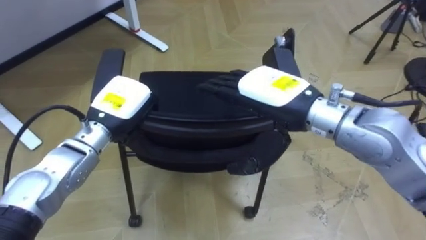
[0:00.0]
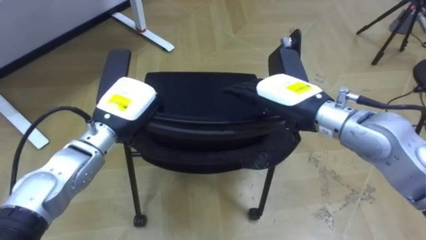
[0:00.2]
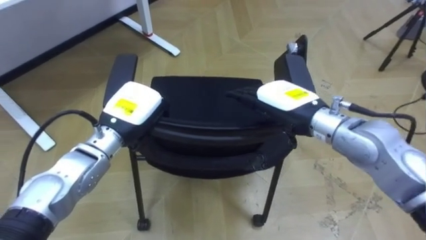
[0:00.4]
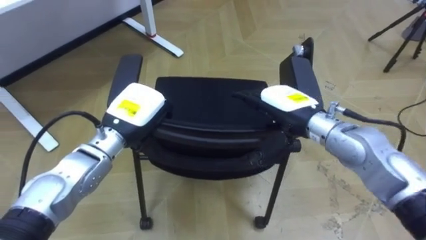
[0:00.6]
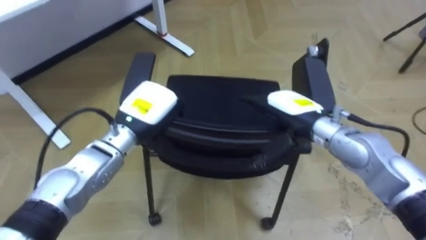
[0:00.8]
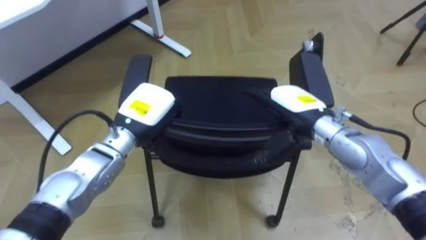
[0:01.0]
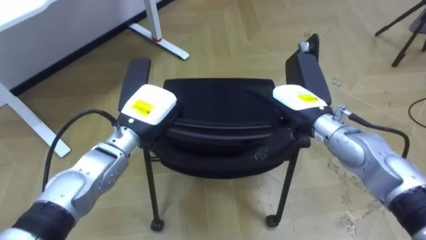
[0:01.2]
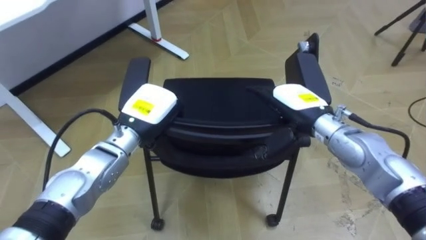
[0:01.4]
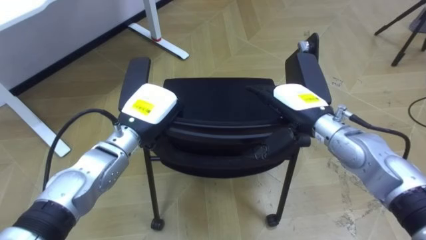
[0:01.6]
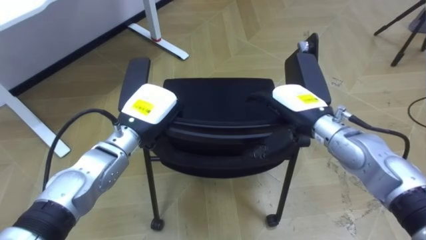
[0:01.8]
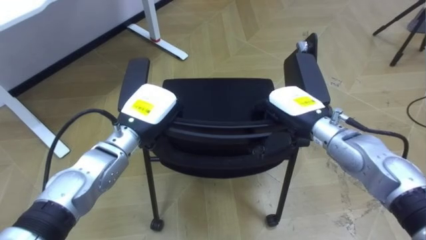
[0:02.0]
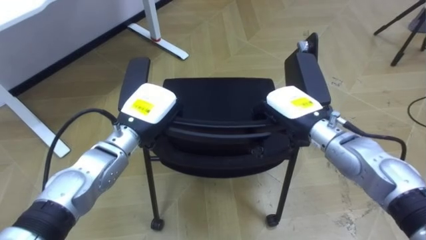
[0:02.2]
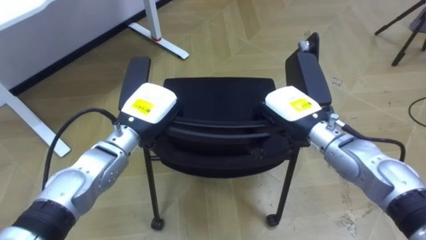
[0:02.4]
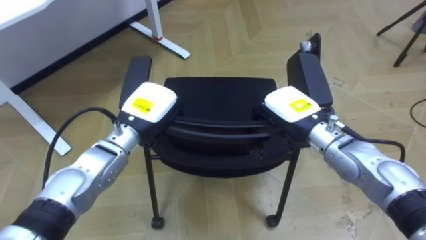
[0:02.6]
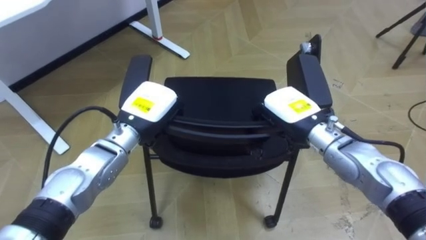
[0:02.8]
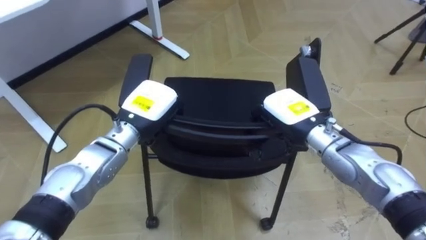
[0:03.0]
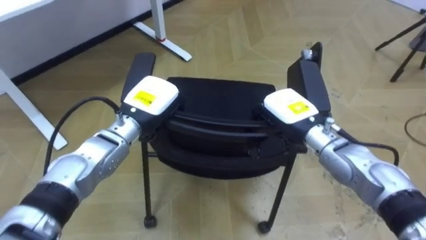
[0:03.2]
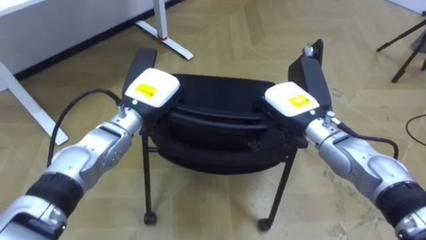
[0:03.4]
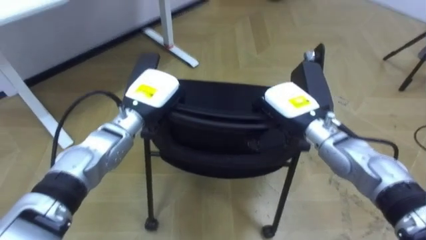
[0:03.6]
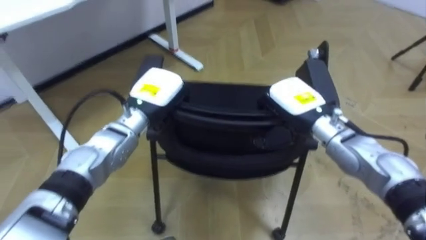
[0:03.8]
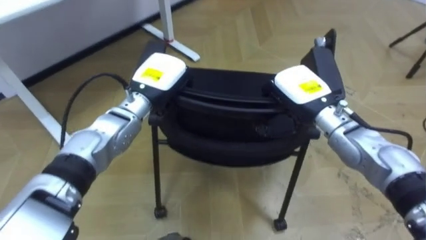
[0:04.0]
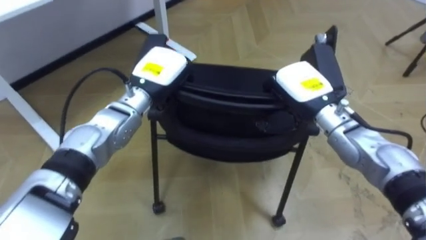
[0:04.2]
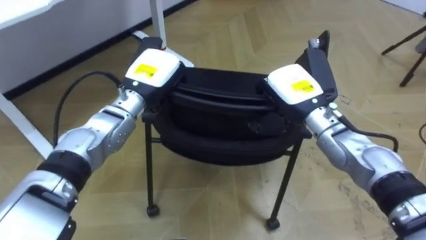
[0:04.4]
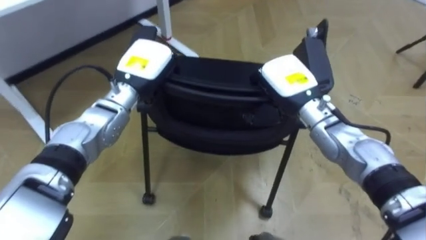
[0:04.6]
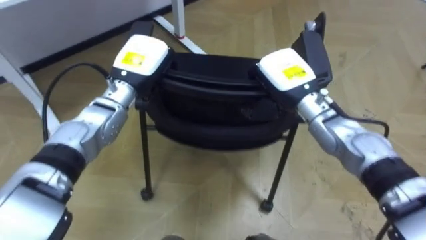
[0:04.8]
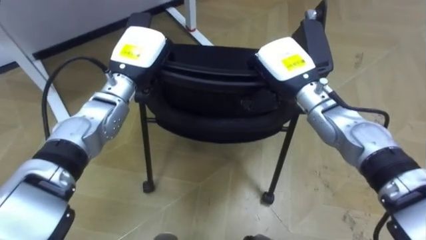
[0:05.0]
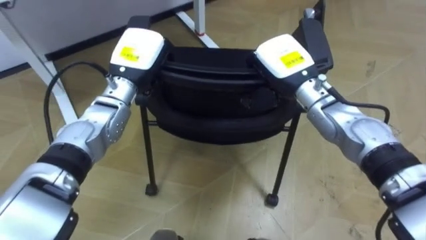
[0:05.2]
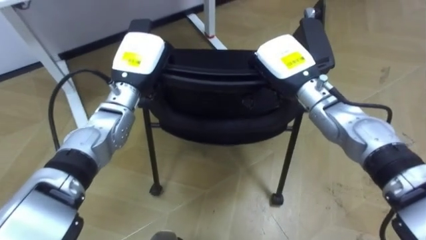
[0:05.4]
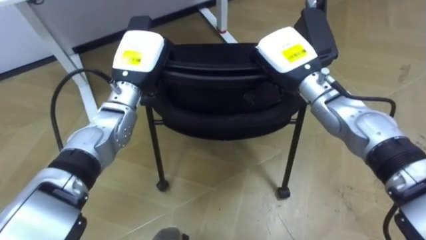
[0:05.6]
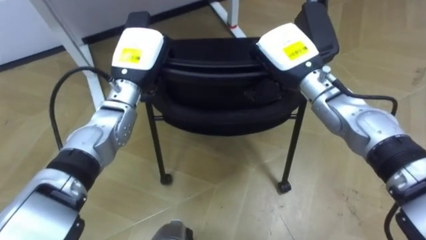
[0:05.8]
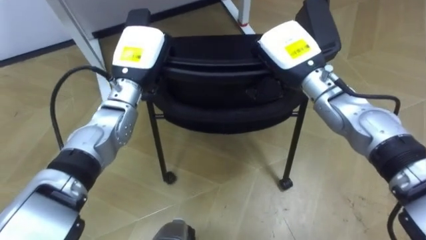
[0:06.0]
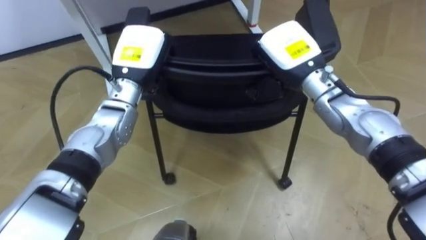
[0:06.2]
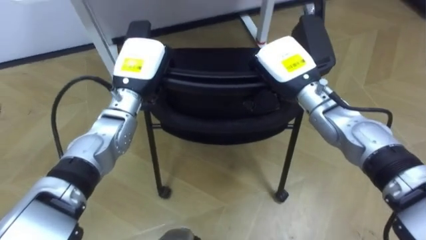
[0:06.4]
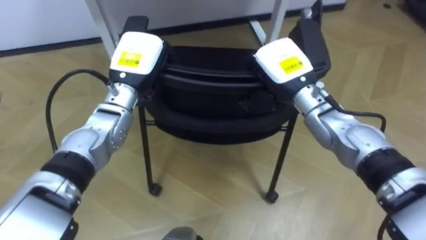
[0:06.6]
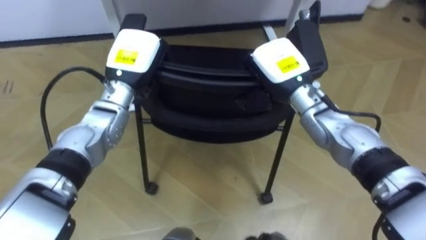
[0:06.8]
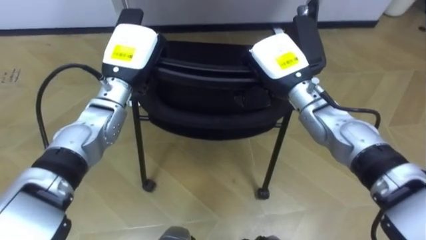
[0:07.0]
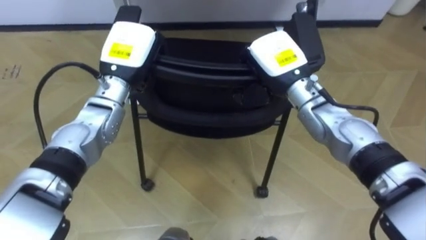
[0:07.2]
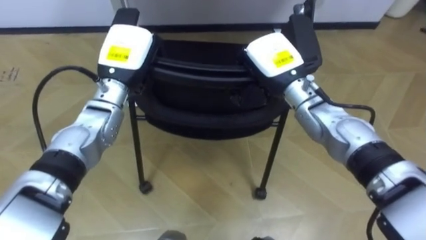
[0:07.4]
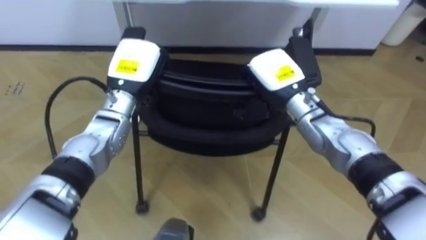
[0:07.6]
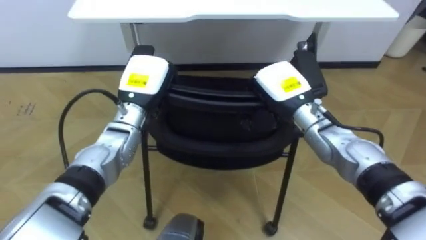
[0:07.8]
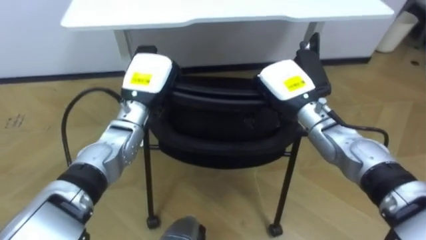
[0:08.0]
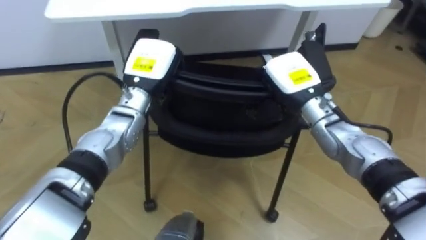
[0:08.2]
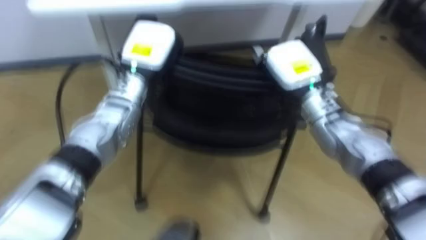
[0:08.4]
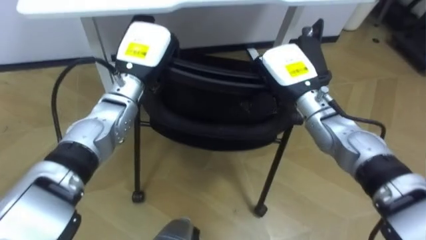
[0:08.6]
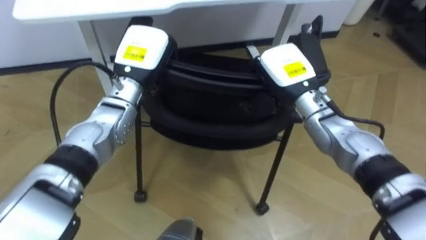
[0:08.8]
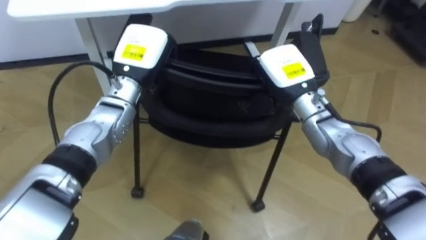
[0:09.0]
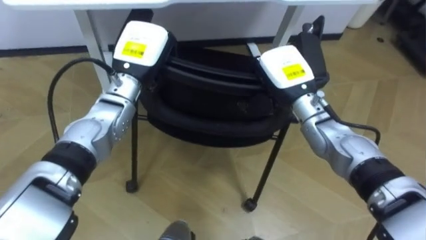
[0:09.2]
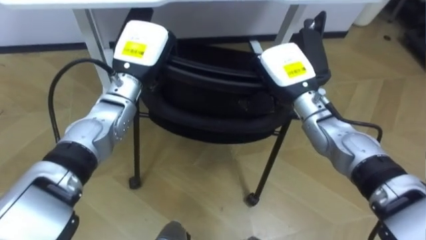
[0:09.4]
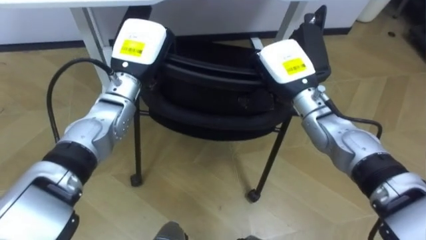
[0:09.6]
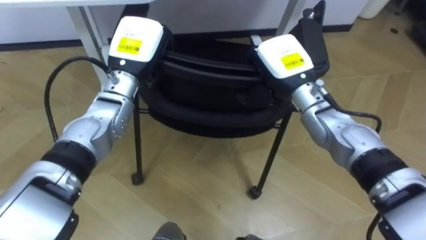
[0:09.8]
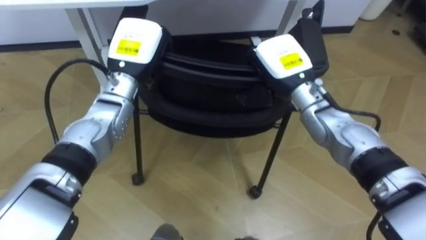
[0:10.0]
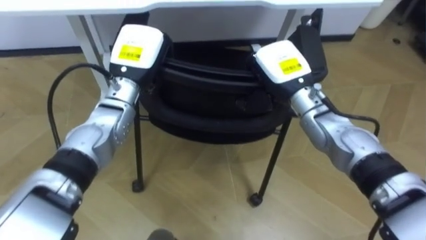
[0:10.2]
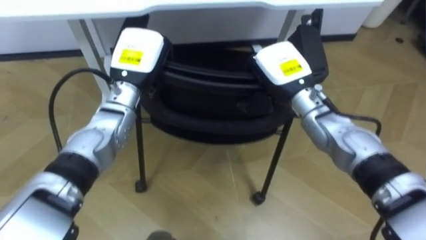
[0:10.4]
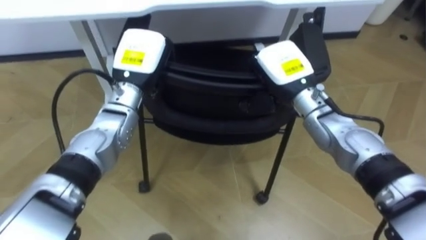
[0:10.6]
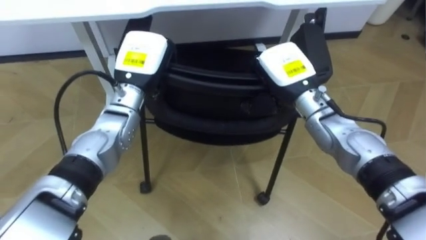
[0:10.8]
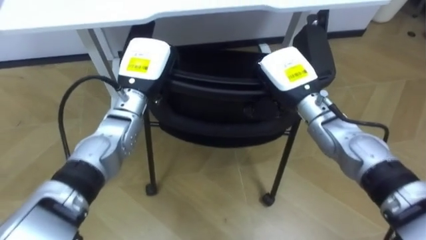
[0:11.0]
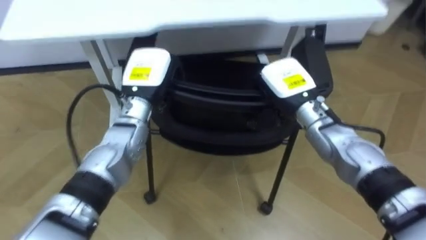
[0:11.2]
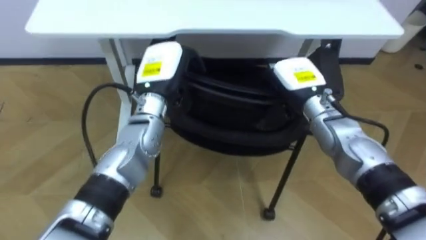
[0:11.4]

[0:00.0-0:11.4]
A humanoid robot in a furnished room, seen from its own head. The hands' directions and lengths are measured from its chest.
Task of the whole recording: Push the chair under the table.
0.0 to 1.4 s: The right hand is displaced downward, to the right and forward by approximately 15 cm. The left hand shifts by some 5 cm.
1.4 to 2.8 s: The right hand closes its fingers.
2.8 to 4.2 s: The left hand is displaced forward by some 5 cm.
4.2 to 5.6 s: The robot turns to its left by roughly 15 degrees. The right hand changes place by about 5 cm.
5.6 to 7.2 s: The robot faces approximately 15 degrees further to its left.
10.0 to 11.4 s: The right hand moves approximately 5 cm, and opens its fingers. Meanwhile the left hand shifts by about 5 cm, and opens.

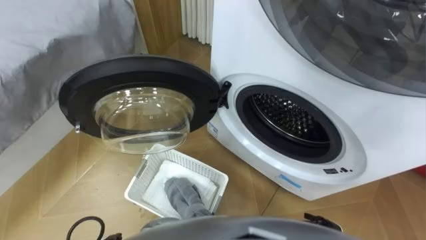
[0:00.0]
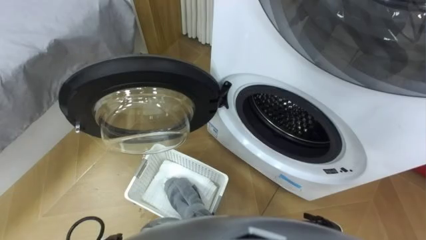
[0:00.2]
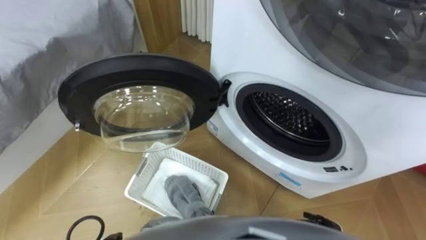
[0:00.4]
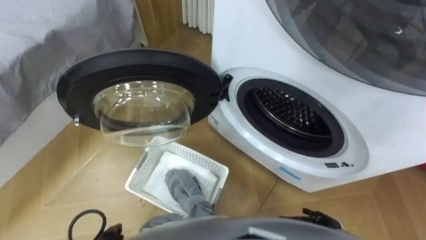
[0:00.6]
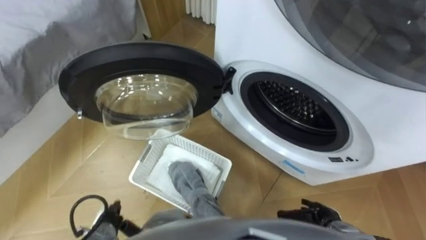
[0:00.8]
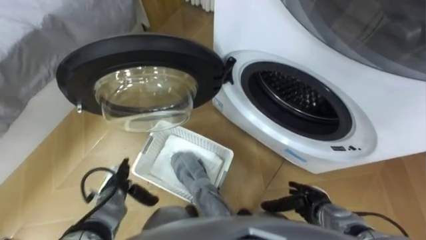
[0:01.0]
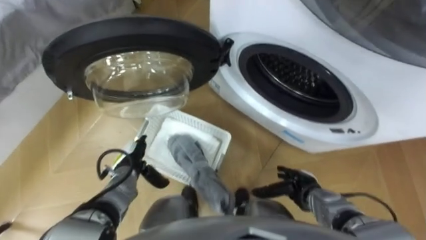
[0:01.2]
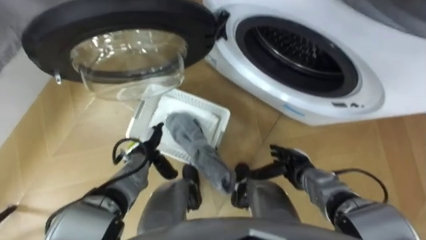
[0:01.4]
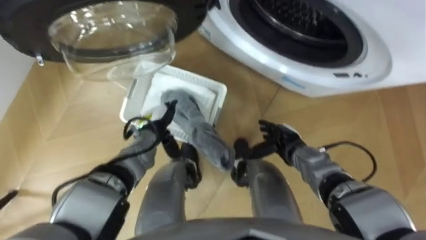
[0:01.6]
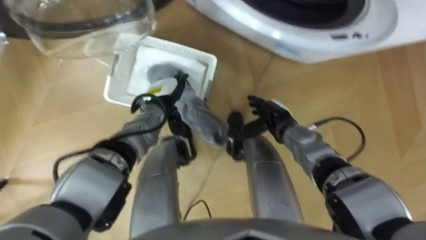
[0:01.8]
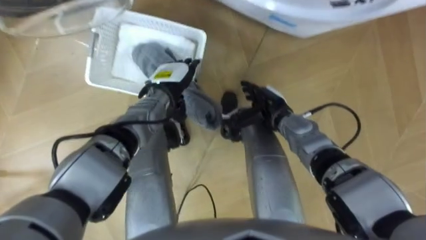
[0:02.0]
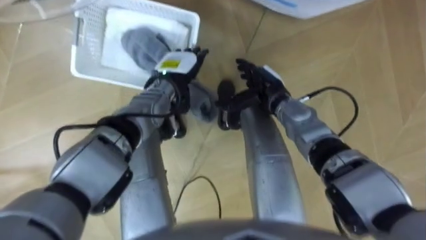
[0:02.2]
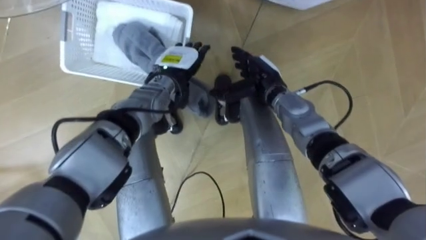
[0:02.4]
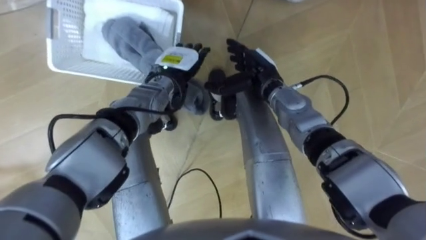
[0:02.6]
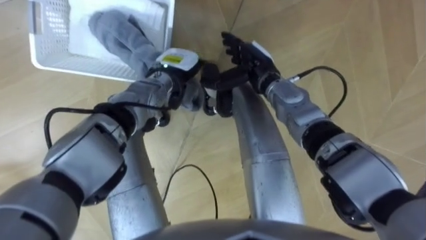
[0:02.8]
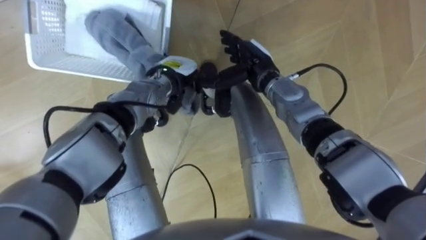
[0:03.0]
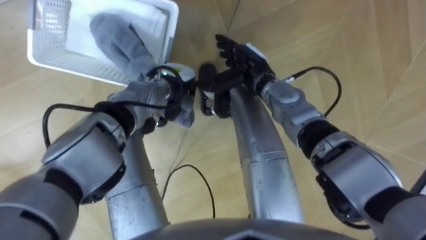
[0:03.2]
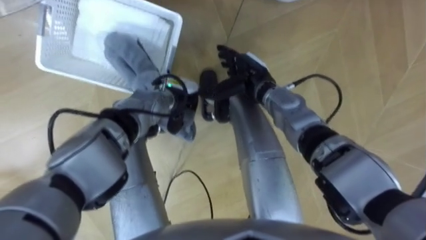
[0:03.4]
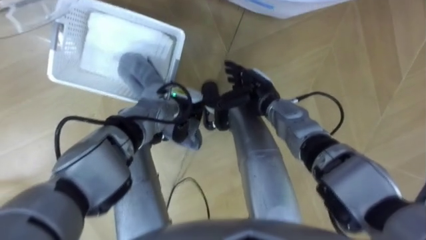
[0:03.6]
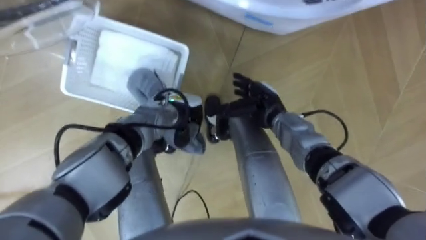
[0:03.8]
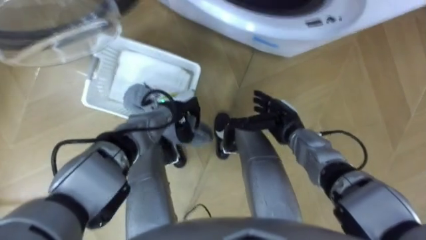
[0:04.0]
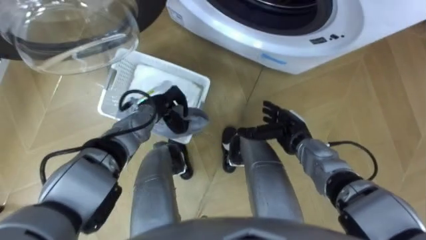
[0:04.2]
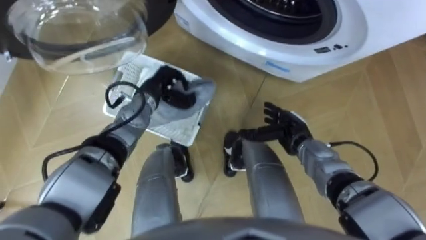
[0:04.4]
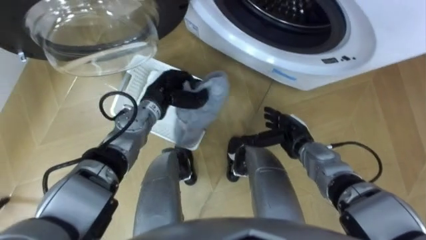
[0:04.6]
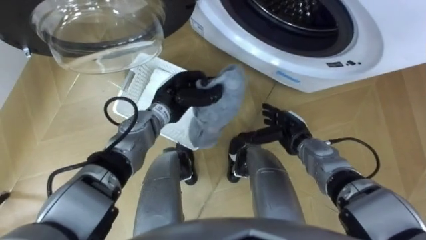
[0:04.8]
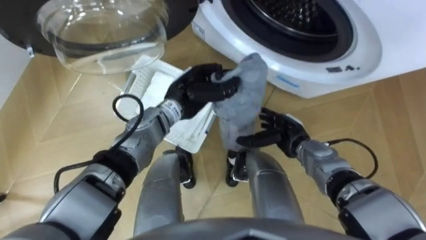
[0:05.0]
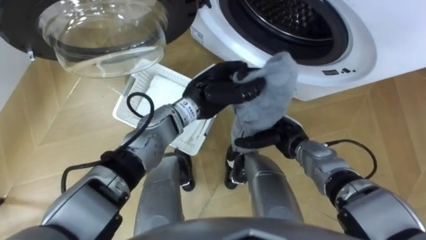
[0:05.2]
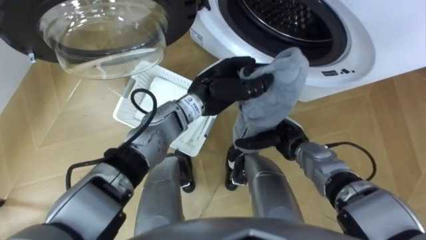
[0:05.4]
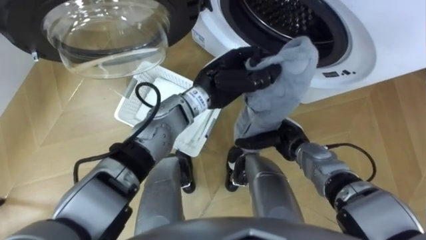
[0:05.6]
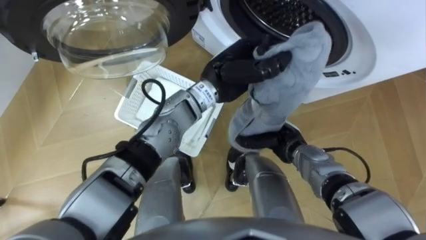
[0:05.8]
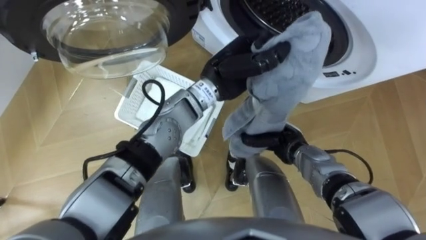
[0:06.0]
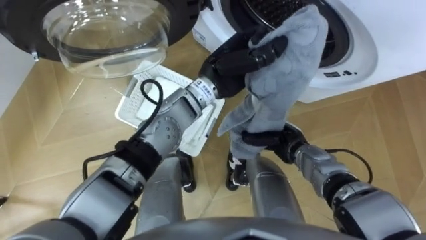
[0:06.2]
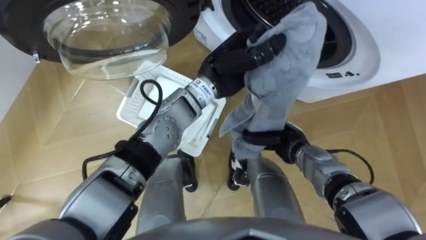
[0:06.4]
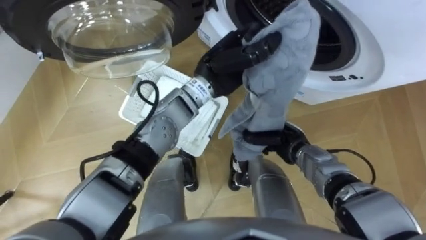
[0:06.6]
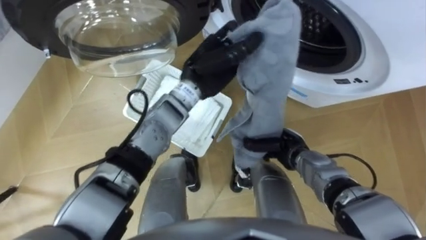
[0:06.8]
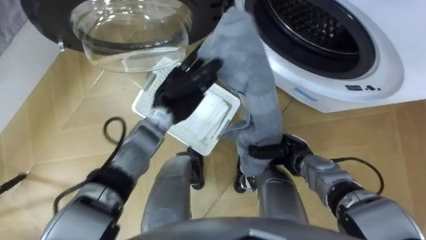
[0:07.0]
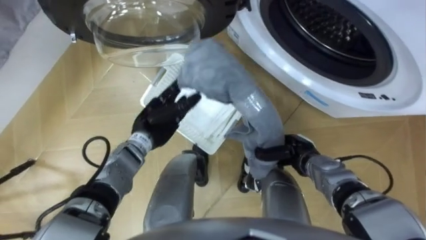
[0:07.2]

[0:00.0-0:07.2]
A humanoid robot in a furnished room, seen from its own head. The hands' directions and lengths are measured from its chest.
Task of the whole recording: Take the towel from the basket and put it into the washing machine.
1.4 to 2.8 s: The right hand moves forward, upward and to the left, some 25 cm; the left hand heads forward, upward and to the right, covering roughly 20 cm.
2.8 to 4.4 s: The left hand moves to the left, approximately 5 cm, and closes up. Meanwhile the right hand is displaced downward, backward and to the right by approximately 20 cm.
4.4 to 5.8 s: The left hand is displaced to the right and upward by approximately 20 cm.
5.8 to 7.2 s: The right hand closes its fingers. The left hand moves to the left and downward, about 20 cm, and opens its fingers.
